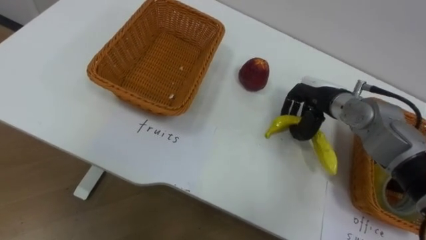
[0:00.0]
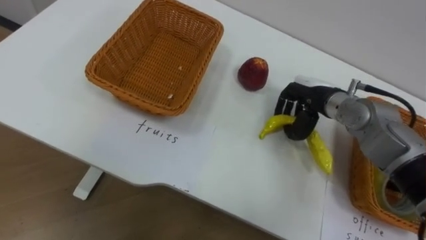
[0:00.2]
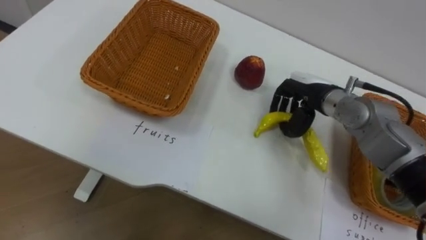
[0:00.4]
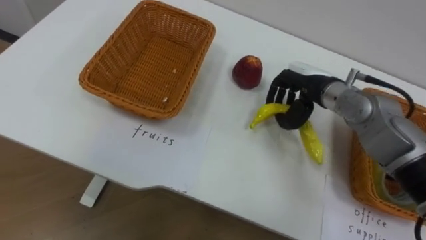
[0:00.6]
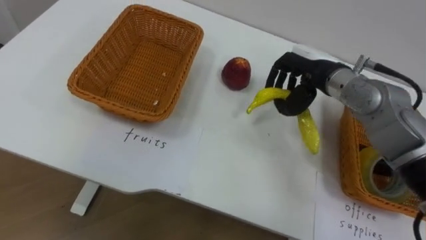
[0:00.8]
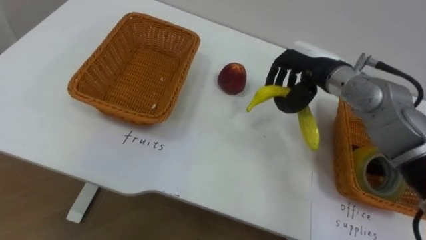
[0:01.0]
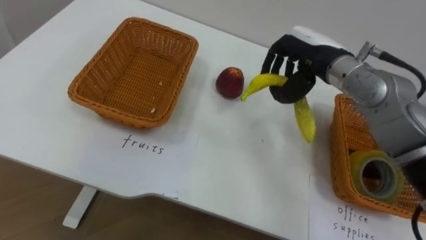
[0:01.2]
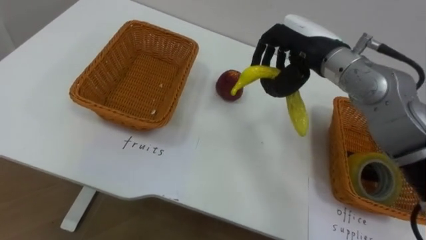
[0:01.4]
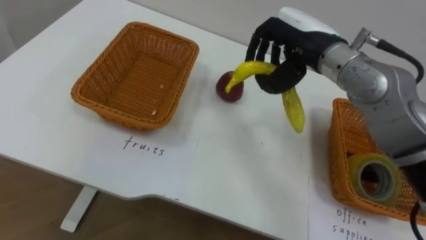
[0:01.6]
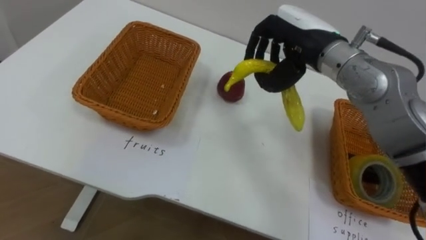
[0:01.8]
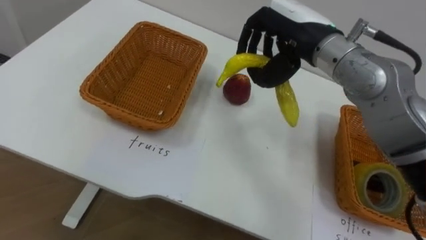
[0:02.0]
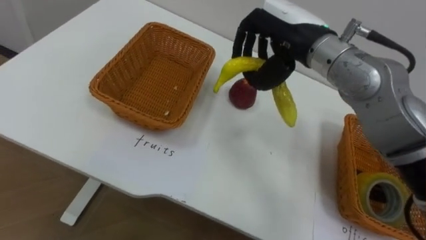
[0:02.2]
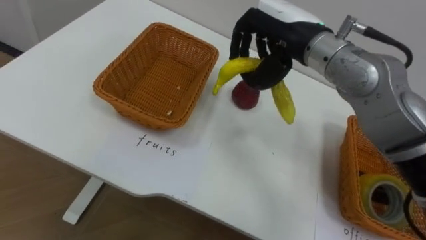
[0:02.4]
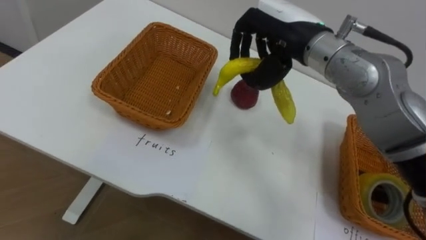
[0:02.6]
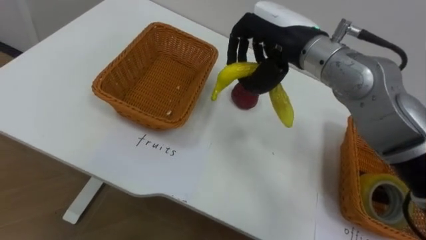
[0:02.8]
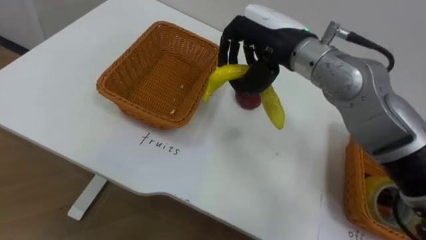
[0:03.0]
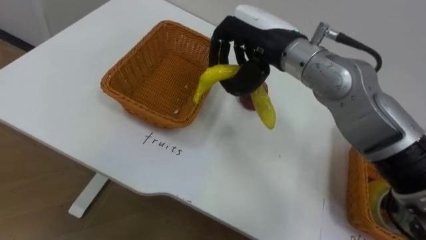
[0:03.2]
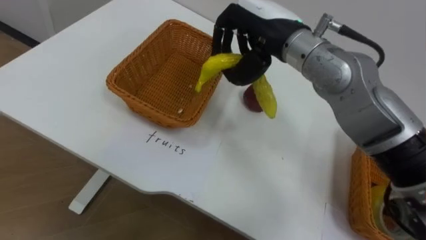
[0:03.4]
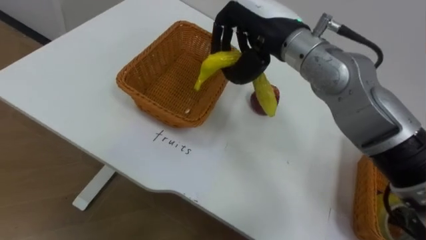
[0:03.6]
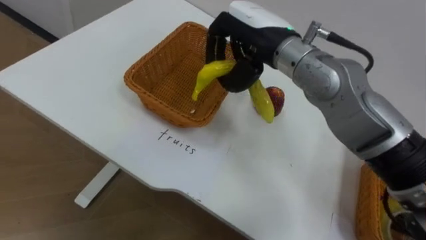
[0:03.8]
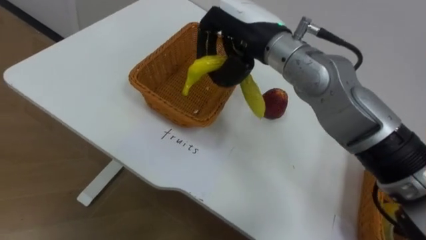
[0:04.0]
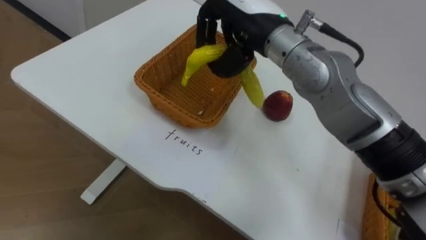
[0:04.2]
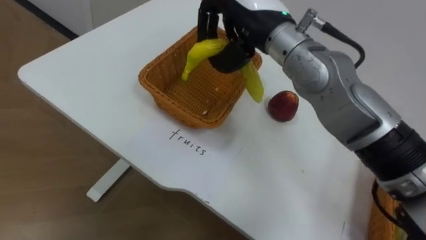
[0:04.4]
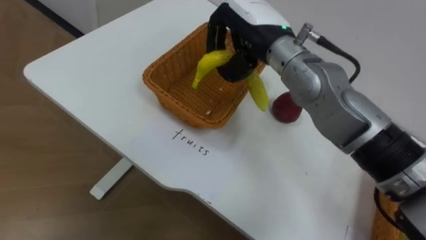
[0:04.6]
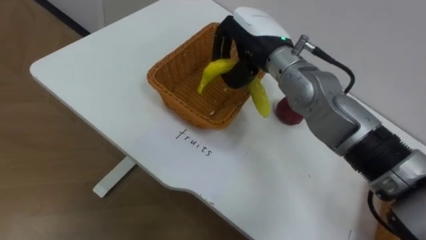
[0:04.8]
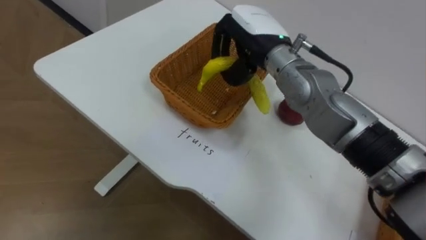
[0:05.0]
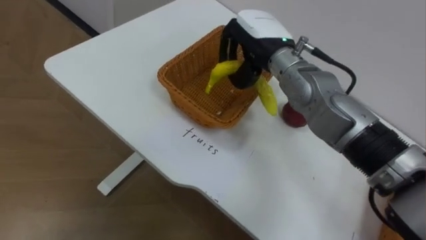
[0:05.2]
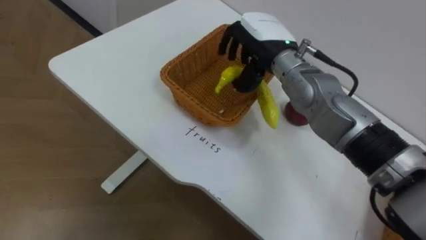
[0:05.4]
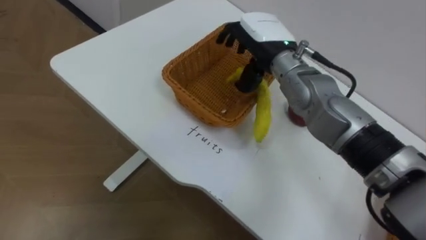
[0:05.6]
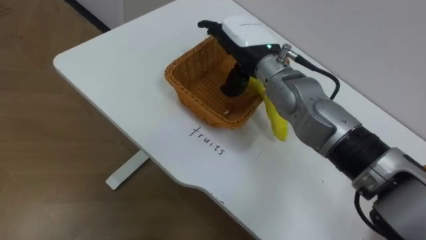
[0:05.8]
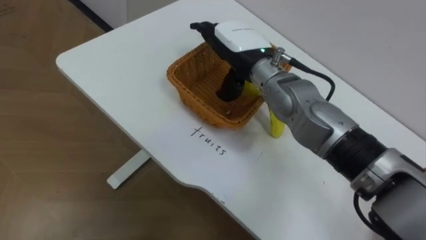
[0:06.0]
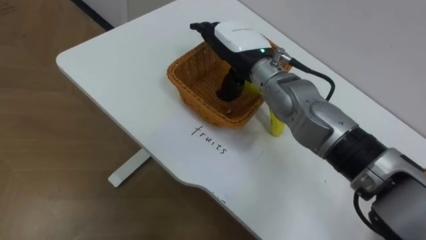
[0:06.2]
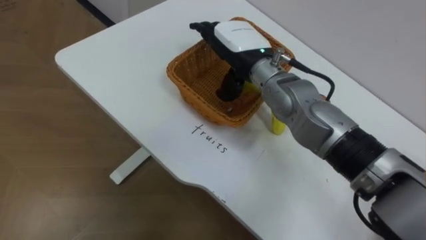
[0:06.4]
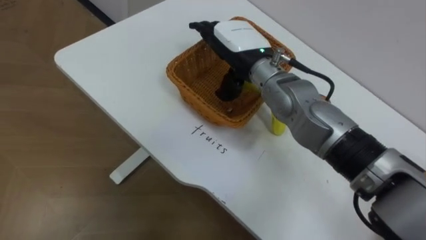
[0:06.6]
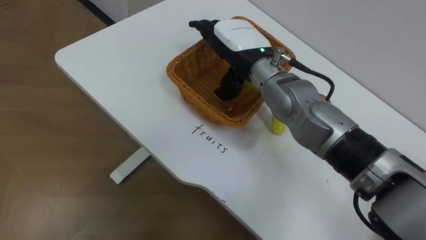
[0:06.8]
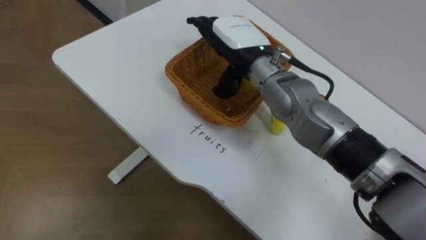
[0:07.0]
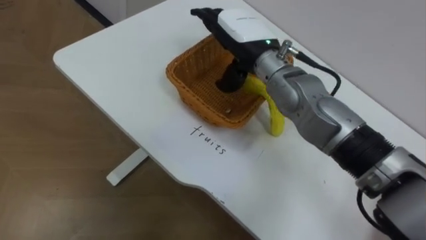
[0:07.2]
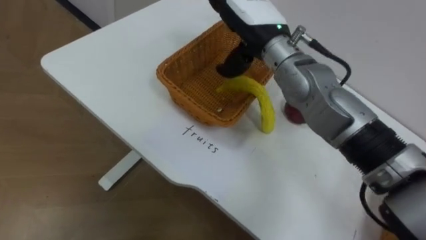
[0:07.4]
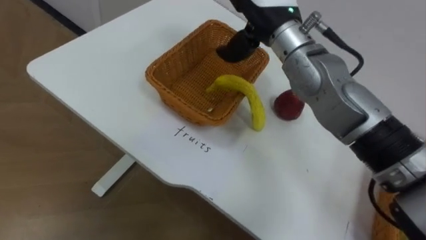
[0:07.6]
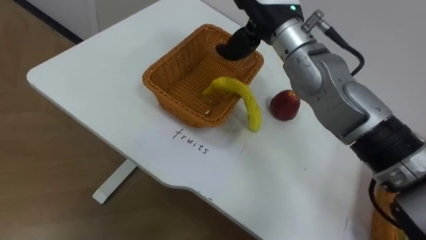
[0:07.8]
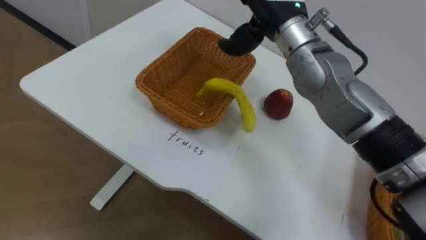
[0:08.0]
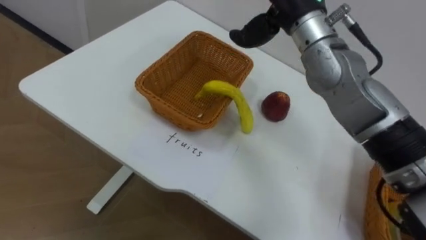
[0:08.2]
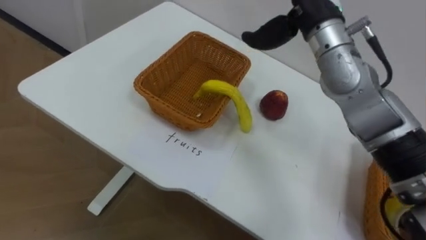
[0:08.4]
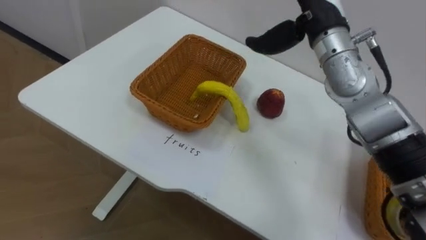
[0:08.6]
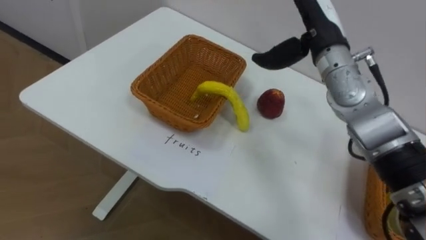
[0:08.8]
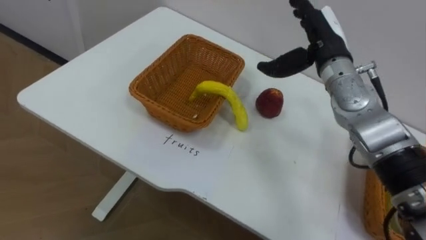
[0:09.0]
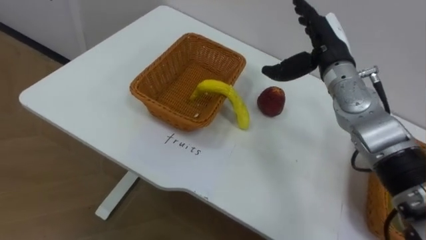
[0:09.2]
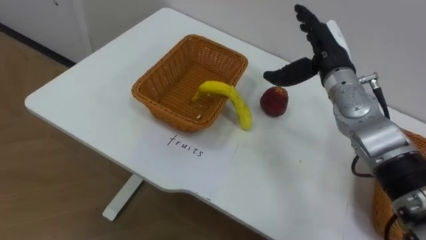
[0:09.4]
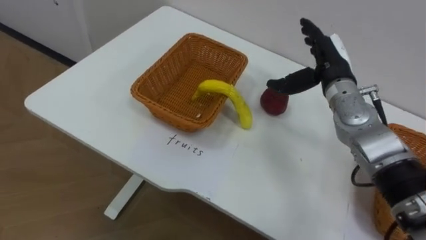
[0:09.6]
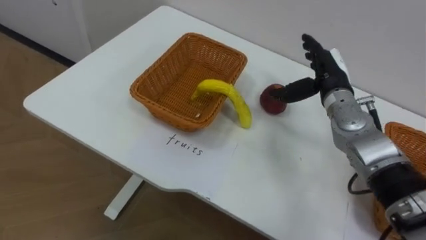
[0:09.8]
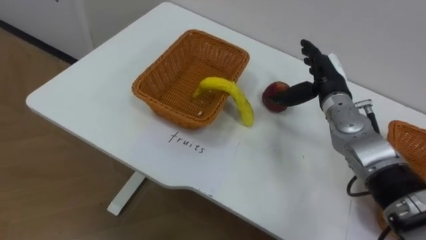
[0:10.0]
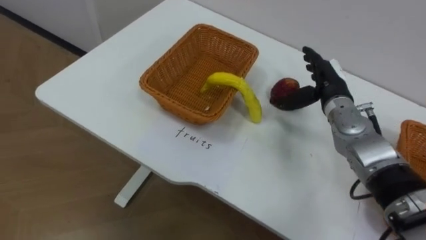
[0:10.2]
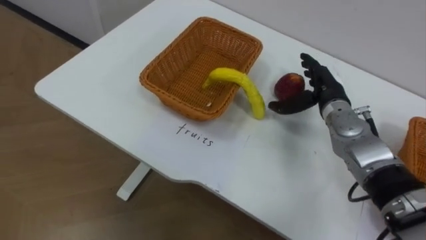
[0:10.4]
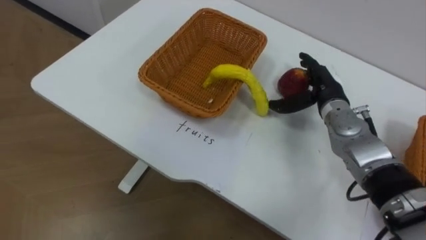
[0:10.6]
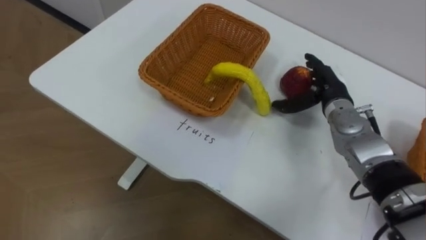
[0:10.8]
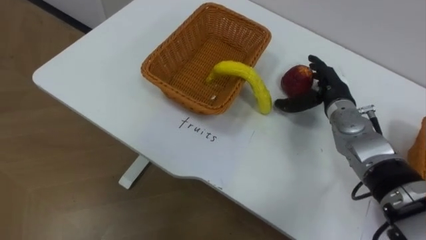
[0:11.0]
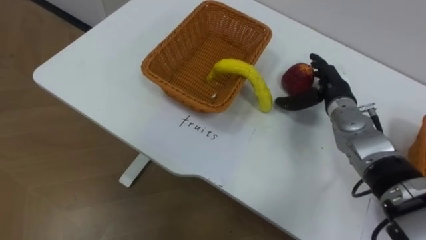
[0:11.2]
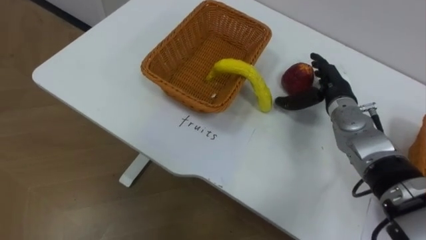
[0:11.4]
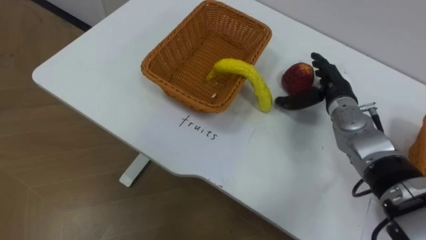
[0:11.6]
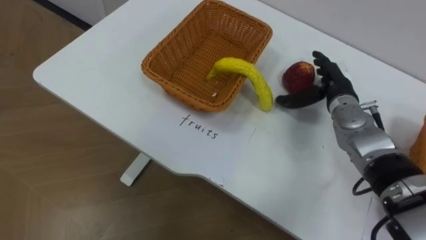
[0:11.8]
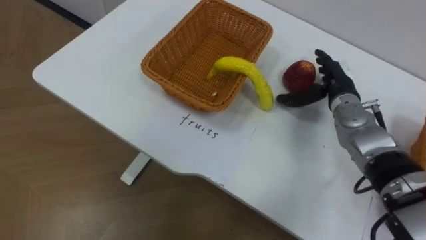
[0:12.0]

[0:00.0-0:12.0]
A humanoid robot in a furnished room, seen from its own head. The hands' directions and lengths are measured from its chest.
Task of the whole recording: Separate the items on the table and place them into the two baskets.
0:00.0 to 0:01.6: The right hand is displaced upward and to the left by some 15 cm.
0:01.6 to 0:03.0: The right hand is displaced to the left by about 5 cm.
0:04.4 to 0:06.0: The right hand shifts roughly 10 cm downward, and opens.
0:06.0 to 0:07.6: The right hand is displaced upward by about 10 cm.
0:09.0 to 0:10.4: The right hand heads downward, covering roughly 10 cm.

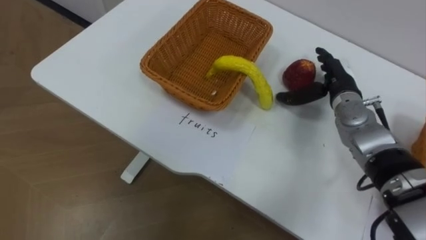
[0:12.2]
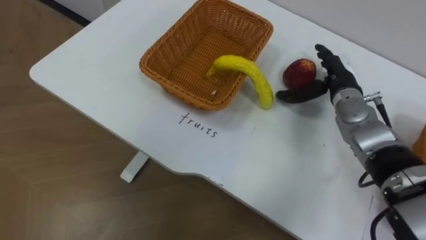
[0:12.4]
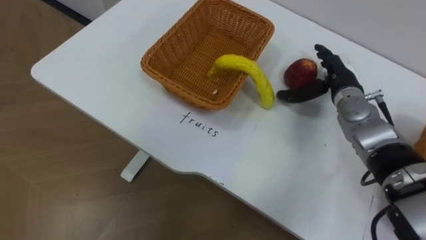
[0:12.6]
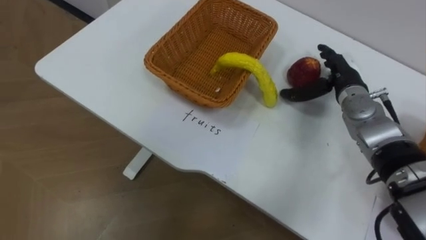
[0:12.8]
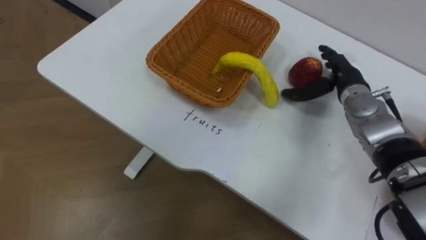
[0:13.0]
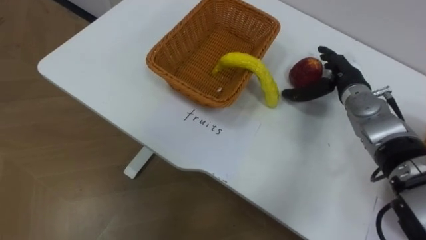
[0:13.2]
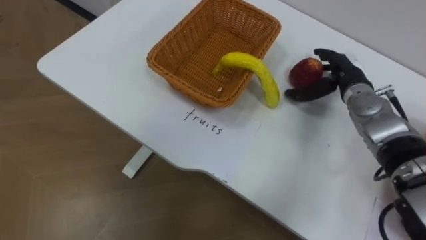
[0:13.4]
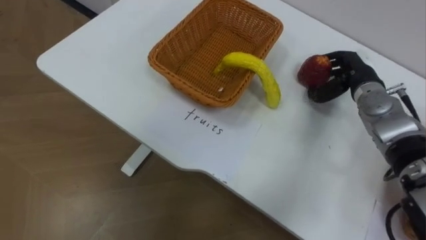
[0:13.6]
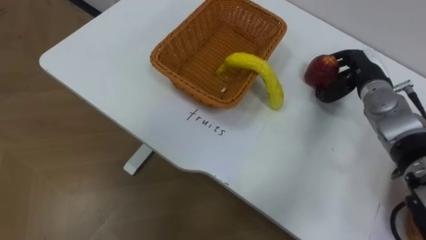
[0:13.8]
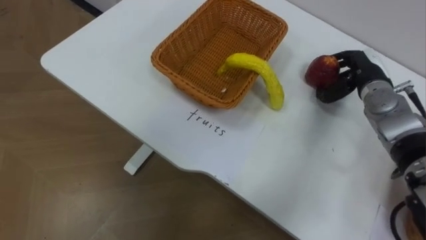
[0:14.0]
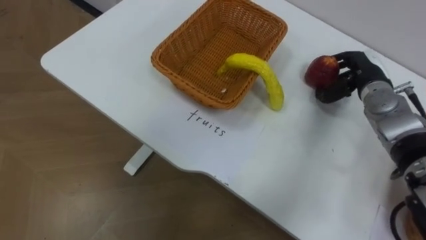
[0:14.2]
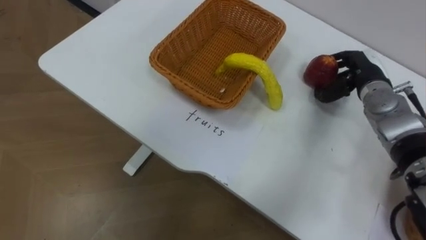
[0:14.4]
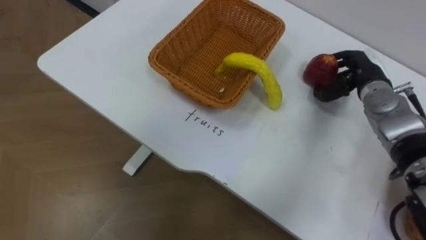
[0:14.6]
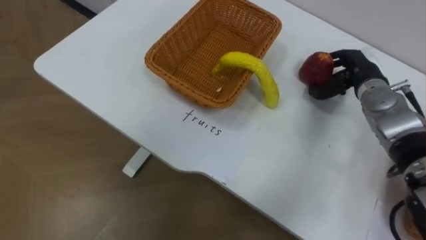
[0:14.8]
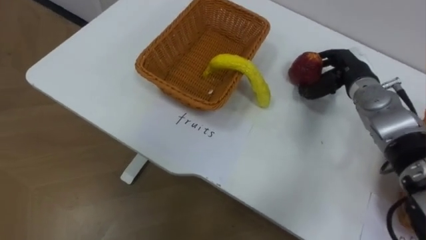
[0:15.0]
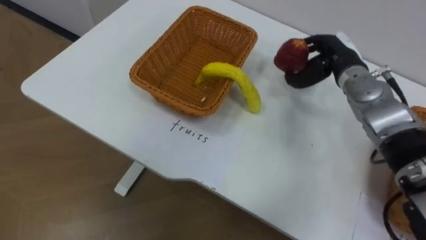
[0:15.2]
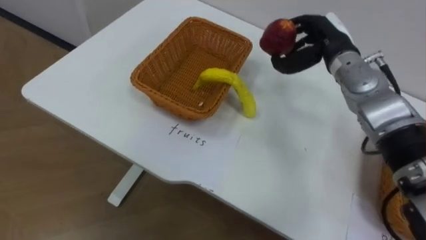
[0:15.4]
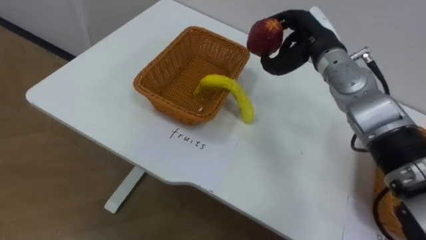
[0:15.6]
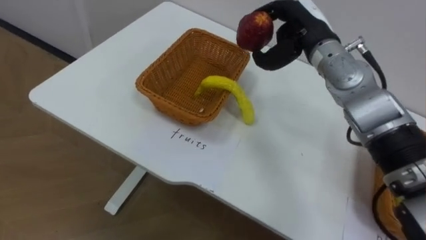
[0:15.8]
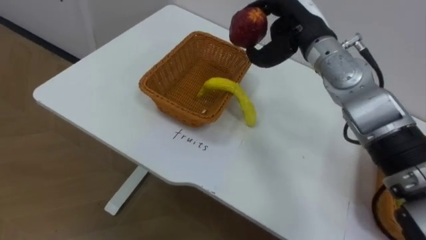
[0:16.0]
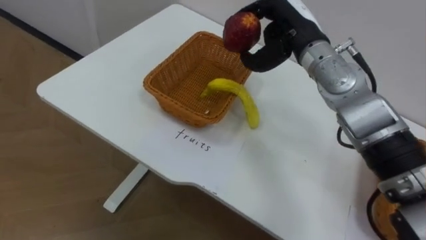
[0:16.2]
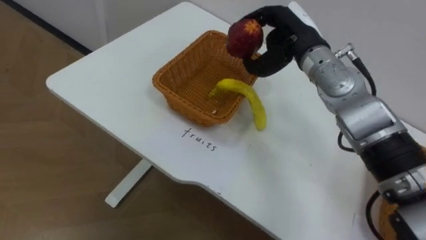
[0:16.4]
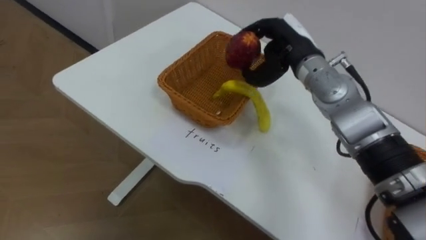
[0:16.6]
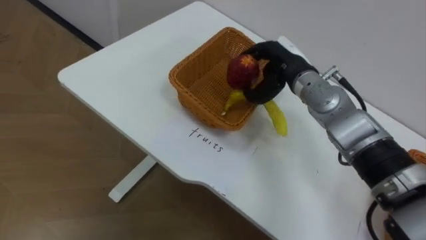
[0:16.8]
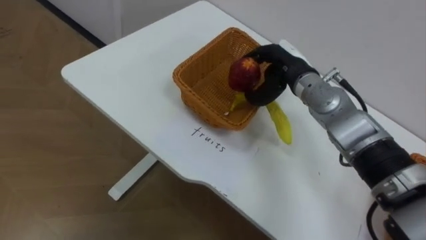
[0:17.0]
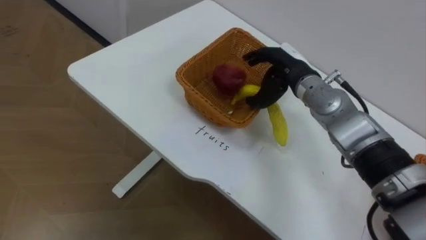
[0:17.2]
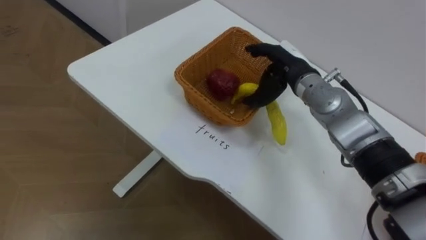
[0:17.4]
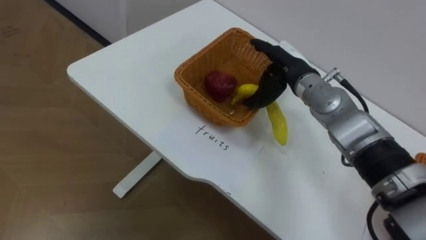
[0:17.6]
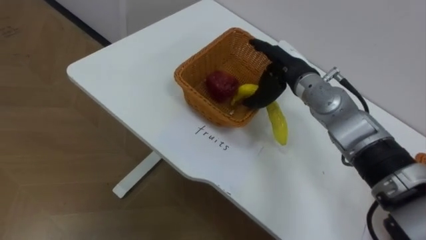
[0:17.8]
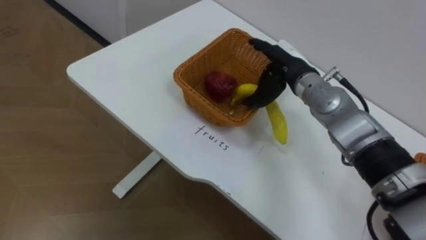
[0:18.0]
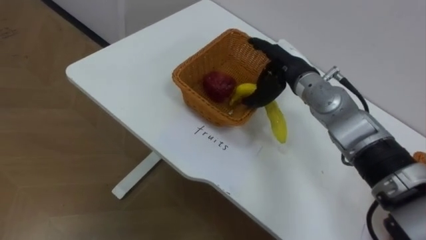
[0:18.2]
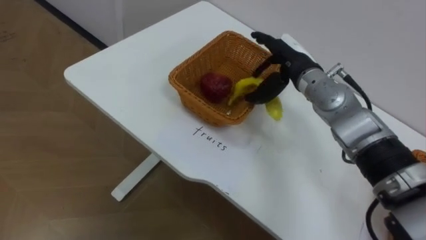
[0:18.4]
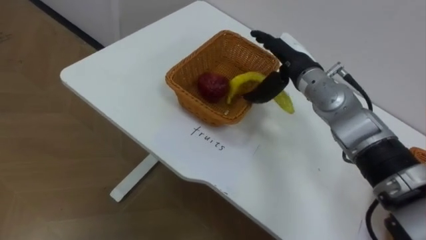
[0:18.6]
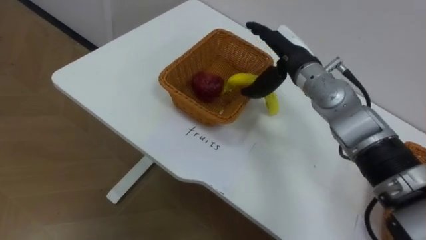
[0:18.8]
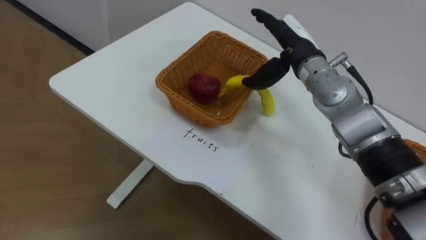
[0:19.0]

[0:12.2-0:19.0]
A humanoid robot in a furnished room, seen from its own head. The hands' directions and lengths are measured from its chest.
Task of the whole recording: Separate the items on the table and place them into the two baskets.
0:12.2 to 0:13.6: The right hand closes up.
0:15.0 to 0:16.2: The right hand moves to the left and upward, approximately 15 cm.
0:16.2 to 0:17.6: The right hand travels downward by roughly 10 cm, and opens.
